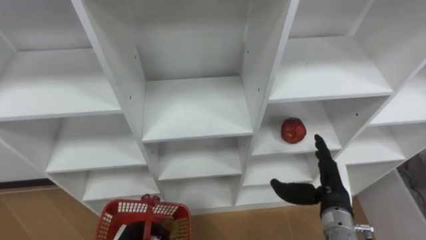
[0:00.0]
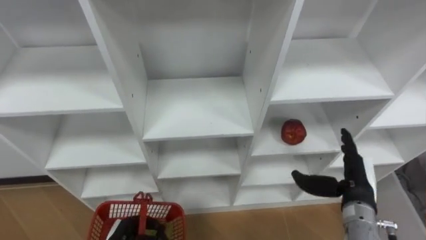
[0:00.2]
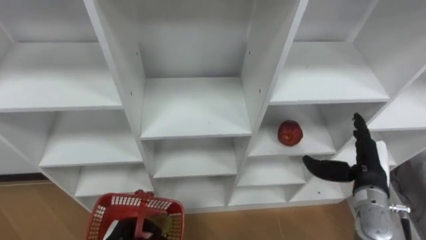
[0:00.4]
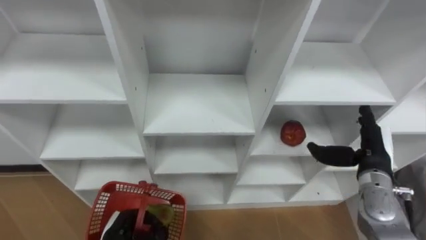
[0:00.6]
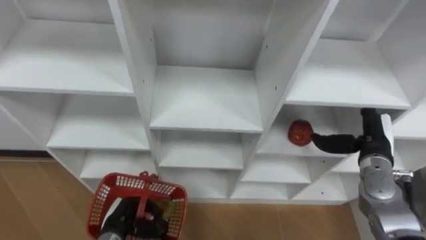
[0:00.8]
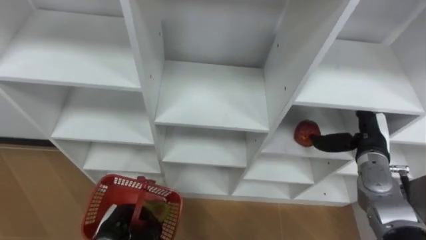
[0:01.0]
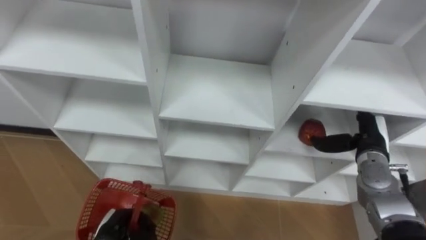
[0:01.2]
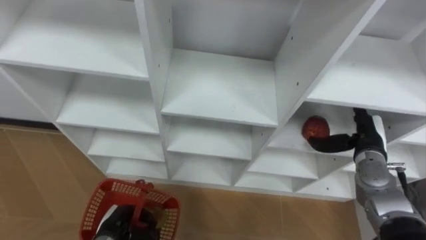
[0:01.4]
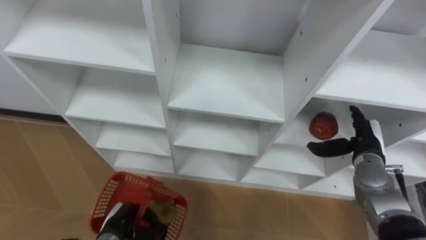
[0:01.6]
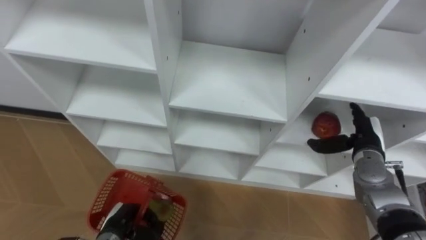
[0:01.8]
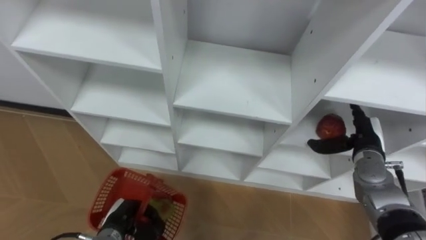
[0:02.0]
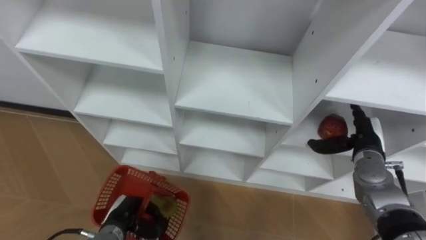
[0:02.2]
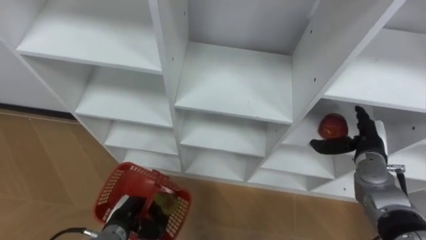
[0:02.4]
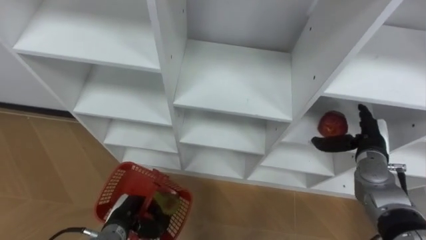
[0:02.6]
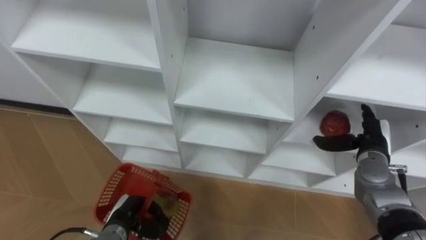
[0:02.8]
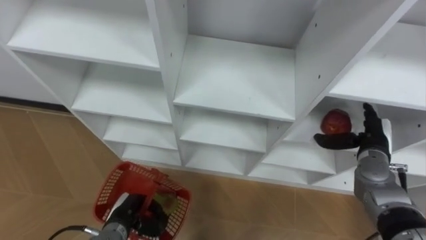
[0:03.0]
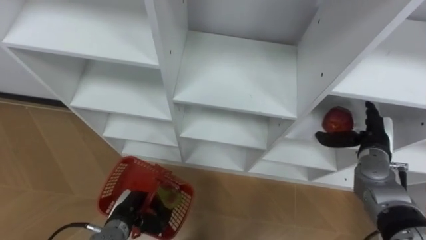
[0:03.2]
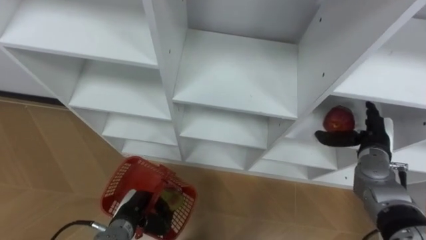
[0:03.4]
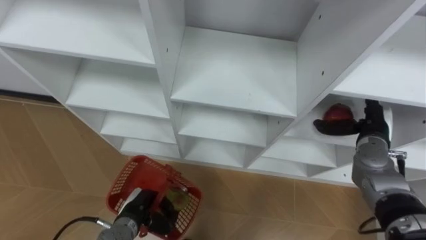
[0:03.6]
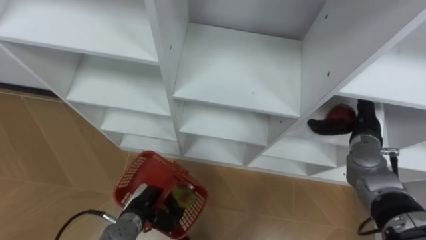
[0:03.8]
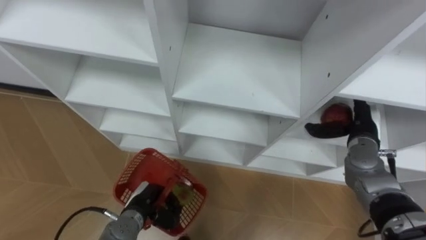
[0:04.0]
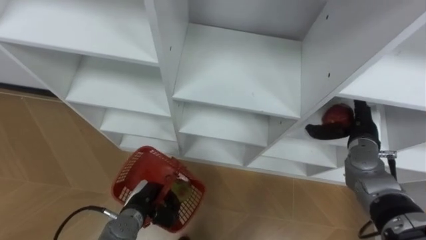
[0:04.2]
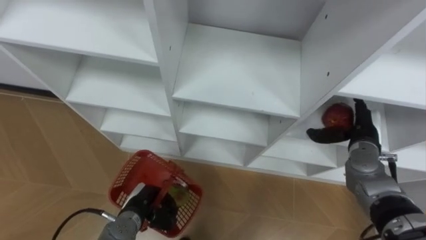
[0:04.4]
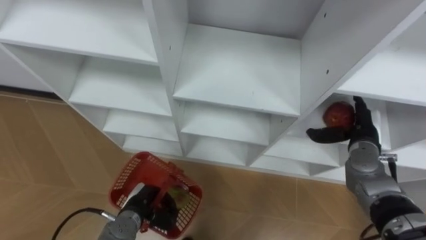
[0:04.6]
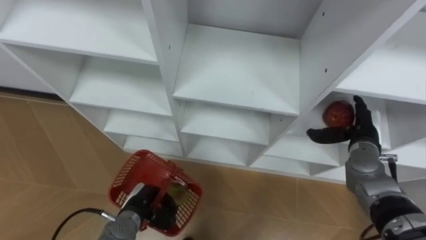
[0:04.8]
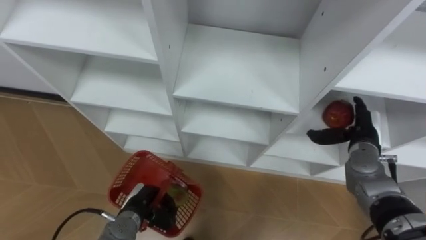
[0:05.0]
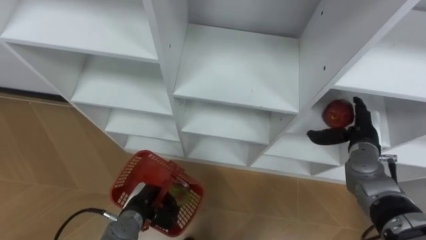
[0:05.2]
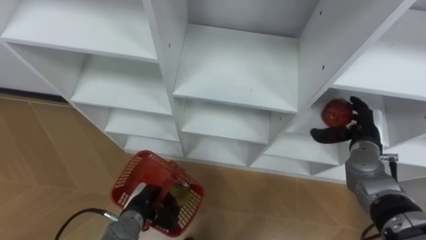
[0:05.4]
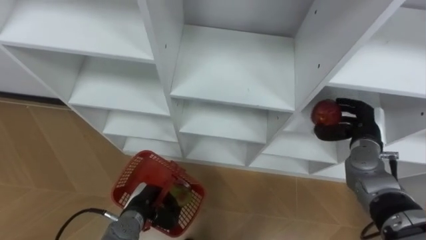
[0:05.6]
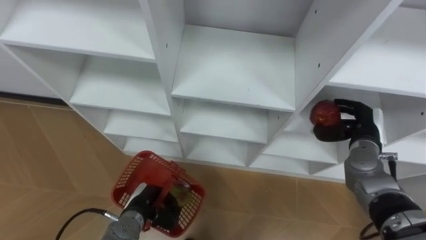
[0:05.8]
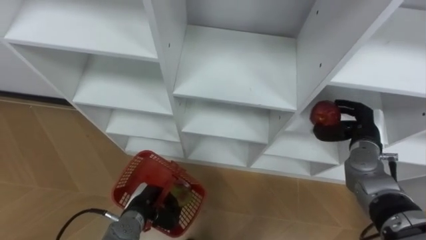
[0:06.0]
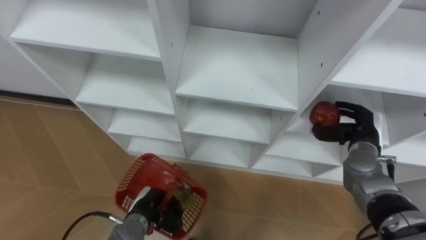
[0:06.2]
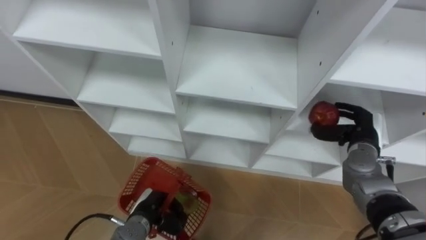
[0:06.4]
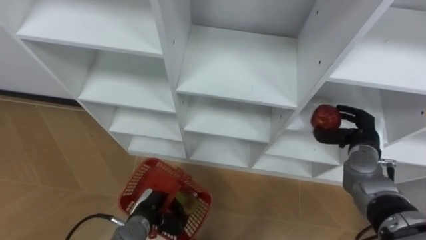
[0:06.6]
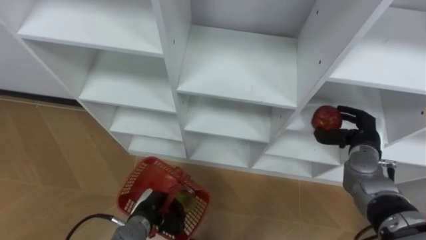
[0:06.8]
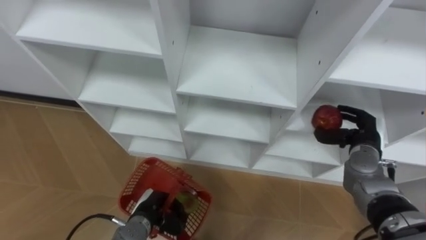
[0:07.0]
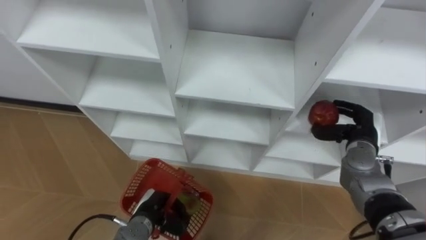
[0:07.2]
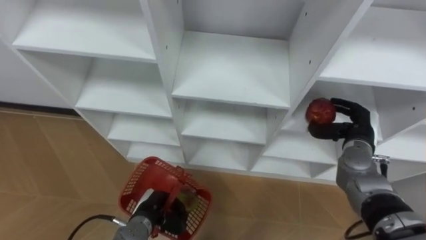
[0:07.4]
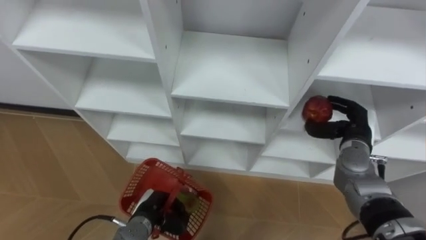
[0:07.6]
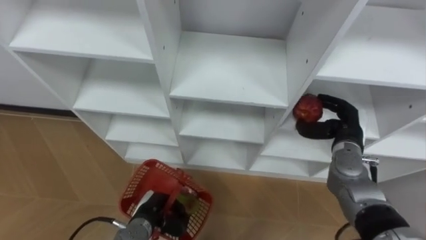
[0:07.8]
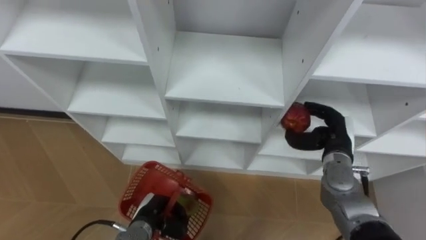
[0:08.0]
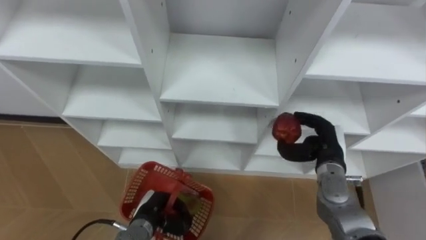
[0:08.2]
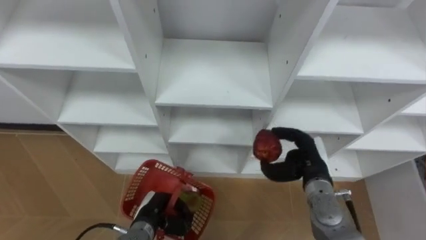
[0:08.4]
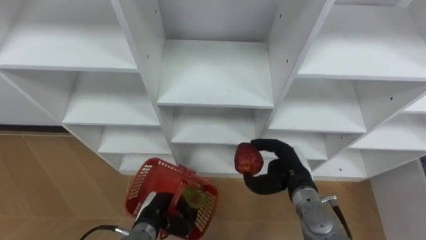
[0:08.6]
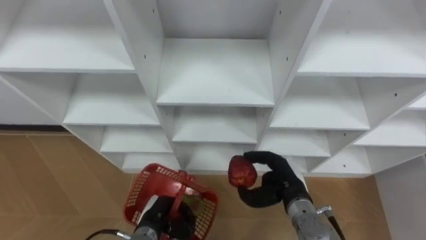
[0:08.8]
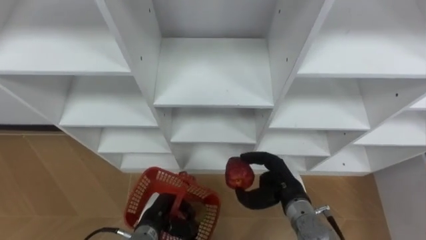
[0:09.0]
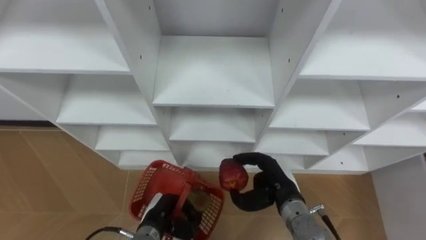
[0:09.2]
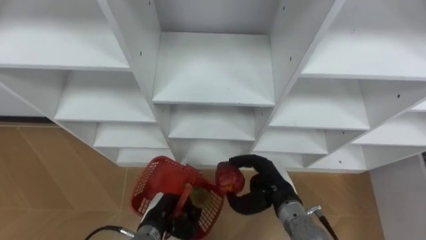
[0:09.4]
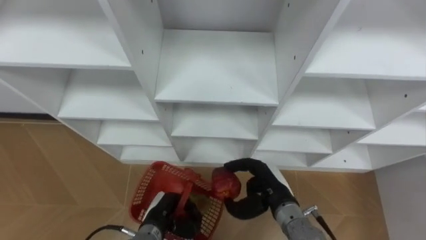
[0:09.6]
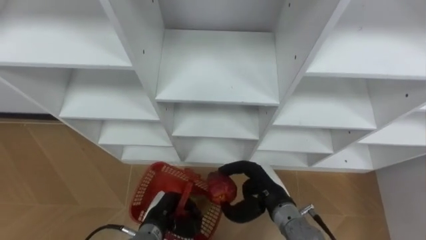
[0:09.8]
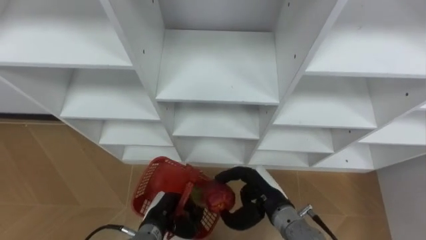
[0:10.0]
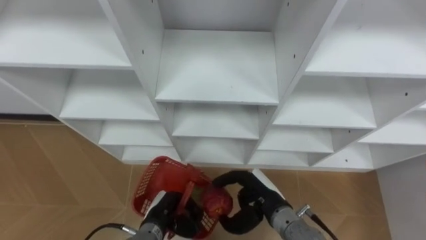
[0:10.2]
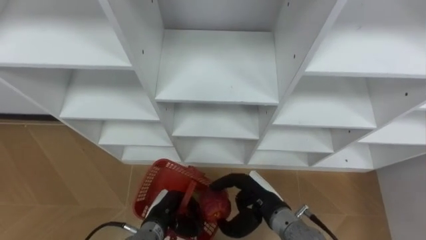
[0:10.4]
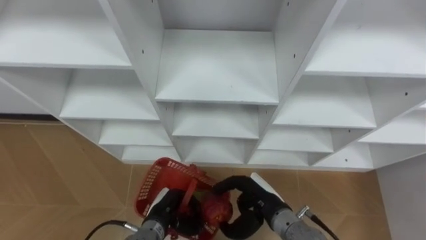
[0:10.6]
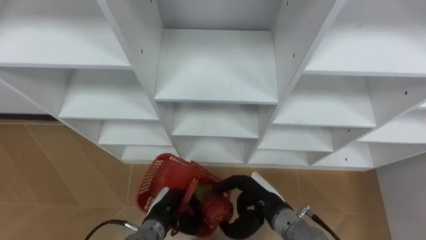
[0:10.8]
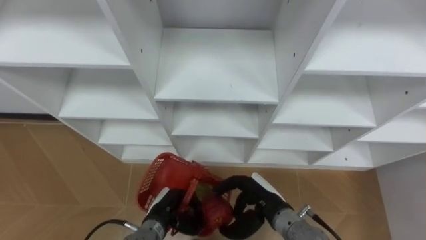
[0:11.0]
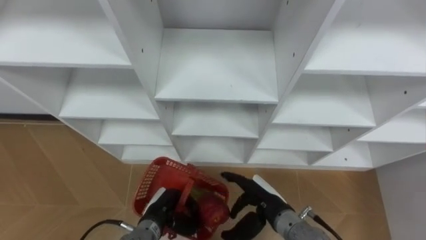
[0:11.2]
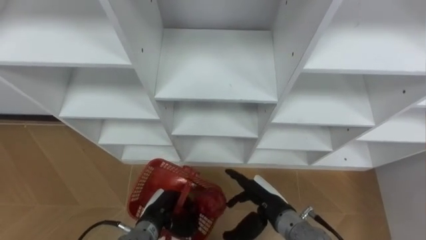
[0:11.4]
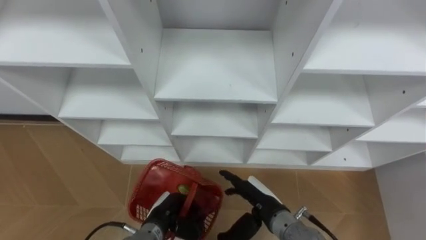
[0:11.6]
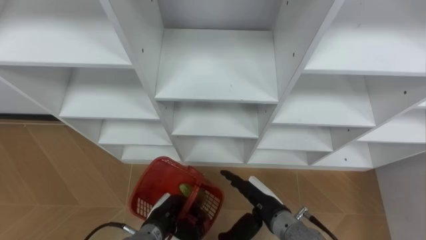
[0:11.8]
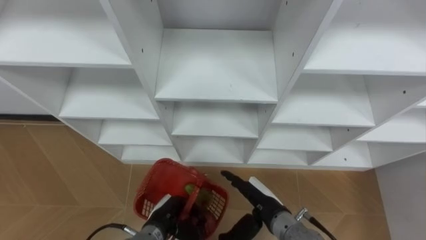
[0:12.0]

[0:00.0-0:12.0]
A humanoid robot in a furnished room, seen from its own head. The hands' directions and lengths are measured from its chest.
Task of the whole recording: Hold the basket and collect the fruits from 3 different cells of the closet into it.
0.0 to 1.6 s: The right hand is displaced forward and to the right by roughly 10 cm.
4.4 to 6.0 s: The right hand closes.
7.6 to 9.0 s: The right hand travels to the left and backward by roughly 15 cm.
9.0 to 10.4 s: The right hand moves to the left, some 5 cm.
10.4 to 12.0 s: The right hand opens up.

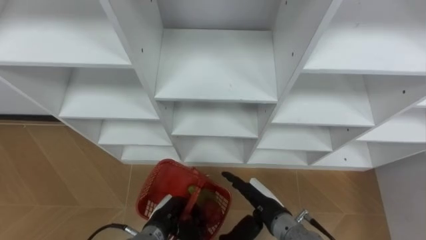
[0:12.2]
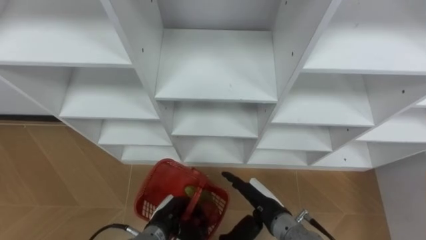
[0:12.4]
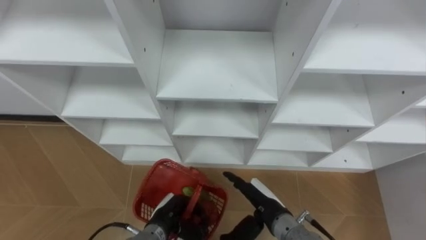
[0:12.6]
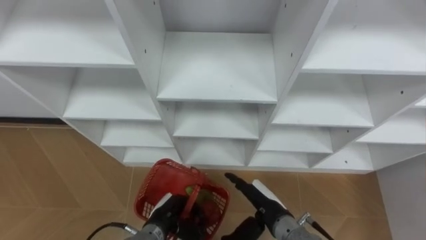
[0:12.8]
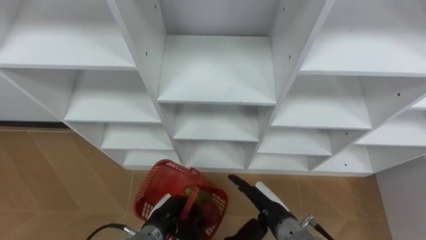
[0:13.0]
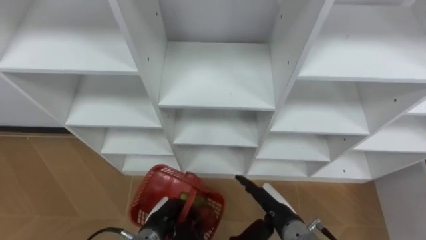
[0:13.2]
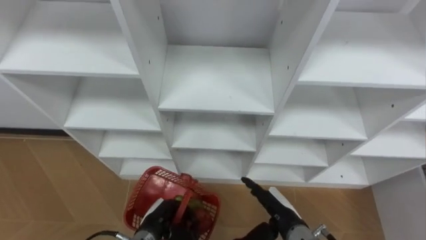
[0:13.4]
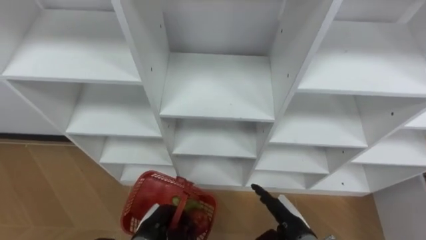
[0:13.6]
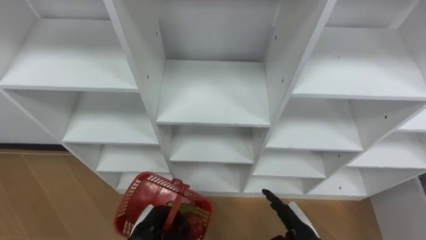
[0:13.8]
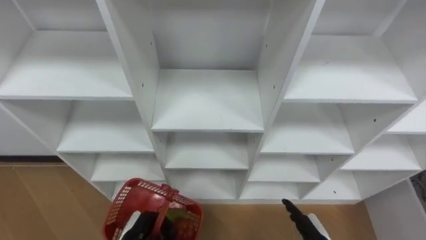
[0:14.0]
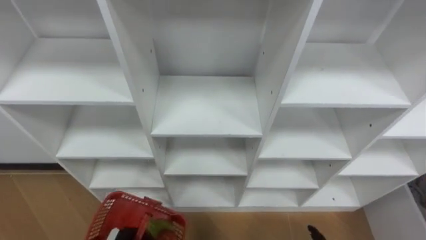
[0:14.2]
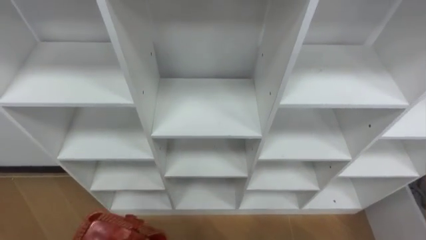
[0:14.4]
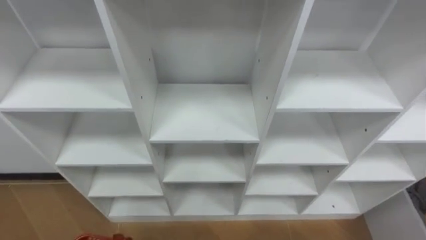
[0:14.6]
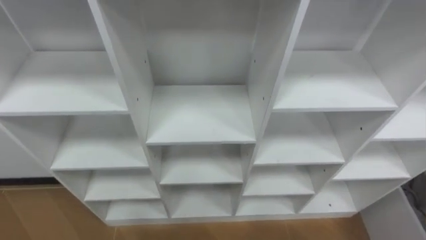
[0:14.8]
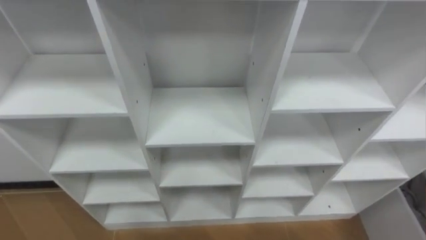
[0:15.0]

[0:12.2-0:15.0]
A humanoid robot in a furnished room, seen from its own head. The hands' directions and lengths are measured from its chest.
Task of the whole recording: Hold the basket and collect the fruits from 3 different cells of the closet into it.
12.2 to 13.6 s: The right hand travels to the right by approximately 5 cm.

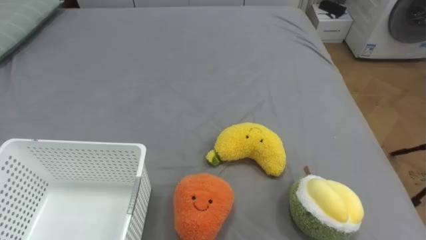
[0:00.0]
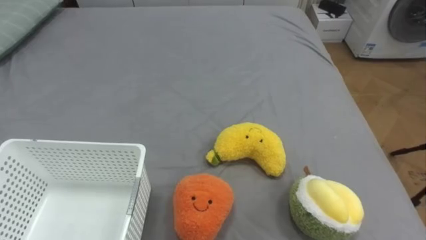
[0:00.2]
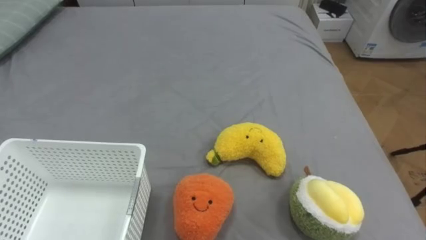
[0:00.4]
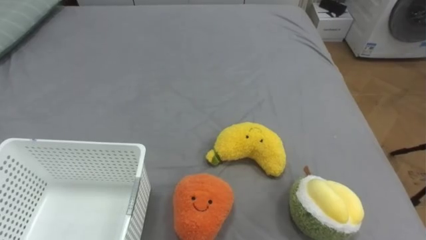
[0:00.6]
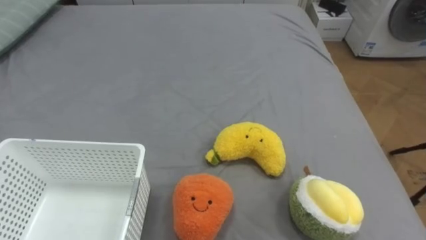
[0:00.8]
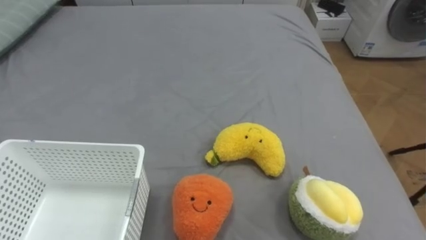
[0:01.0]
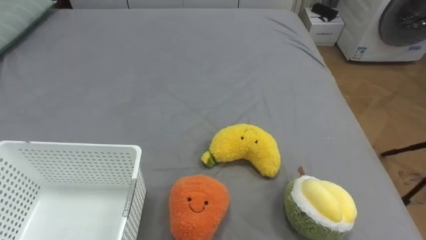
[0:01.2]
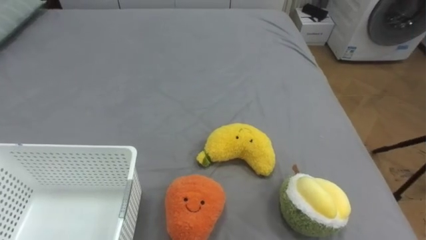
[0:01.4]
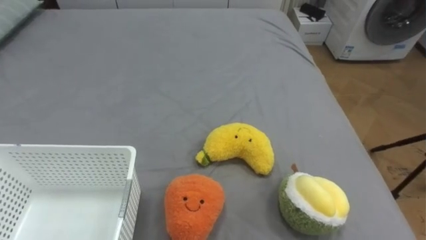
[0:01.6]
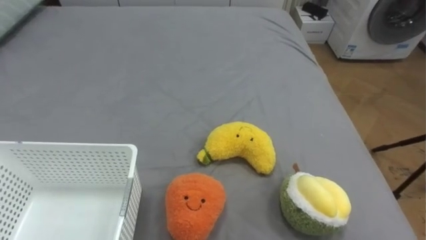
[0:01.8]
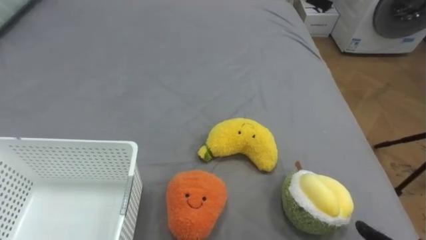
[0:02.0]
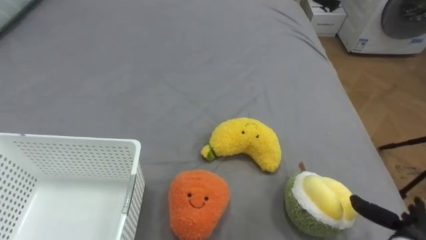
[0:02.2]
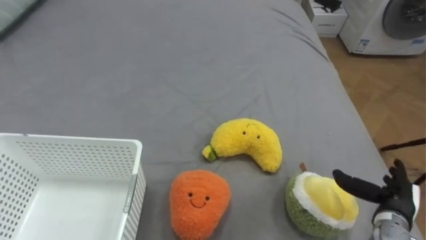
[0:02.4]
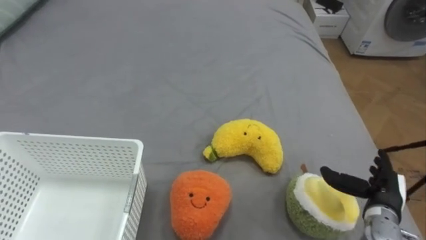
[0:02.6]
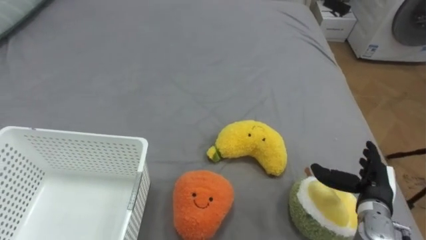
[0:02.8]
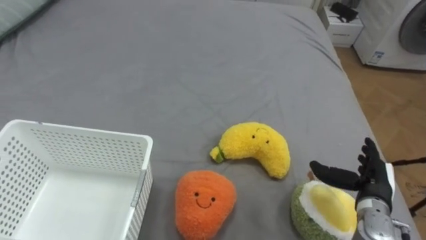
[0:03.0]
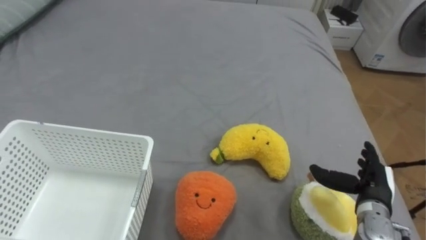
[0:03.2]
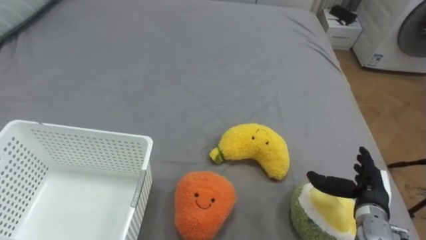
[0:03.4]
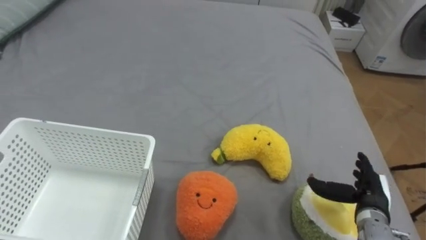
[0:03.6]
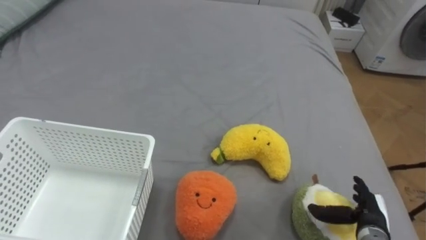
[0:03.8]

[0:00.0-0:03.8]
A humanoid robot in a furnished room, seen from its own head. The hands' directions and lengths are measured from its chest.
Task of the whole recording: Put the toys on the bed into the basket on the left.
2.6 to 3.8 s: The right hand shifts by approximately 5 cm.
